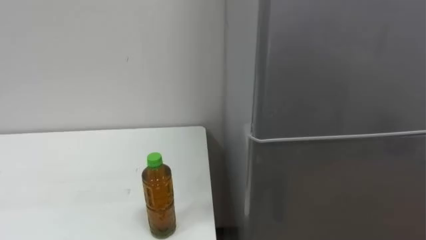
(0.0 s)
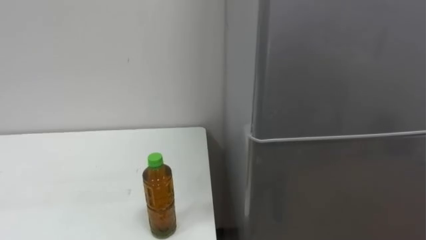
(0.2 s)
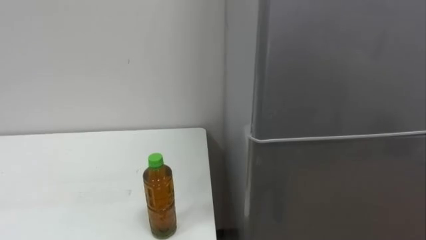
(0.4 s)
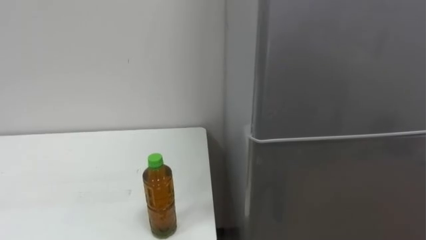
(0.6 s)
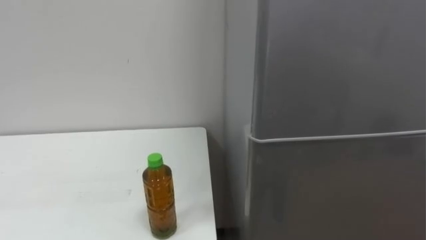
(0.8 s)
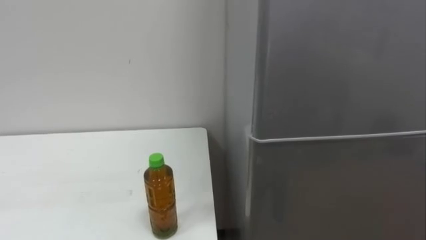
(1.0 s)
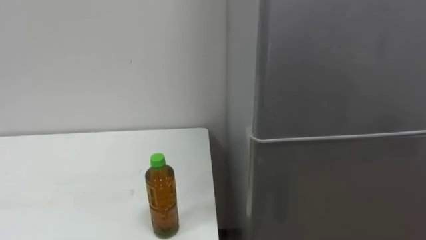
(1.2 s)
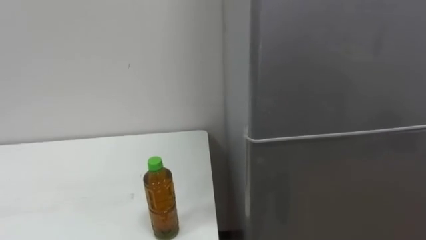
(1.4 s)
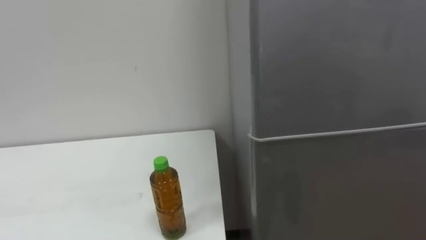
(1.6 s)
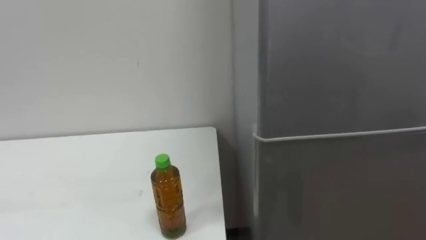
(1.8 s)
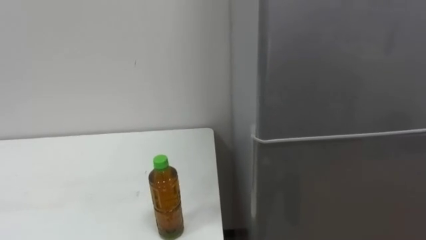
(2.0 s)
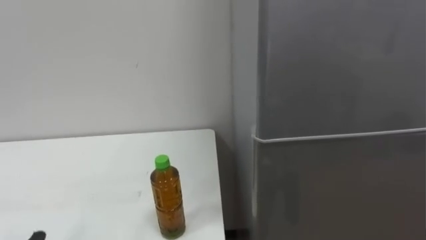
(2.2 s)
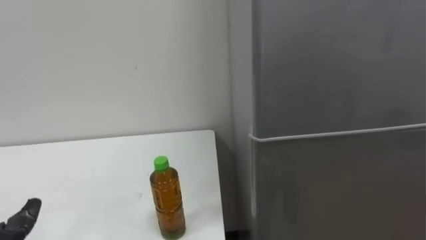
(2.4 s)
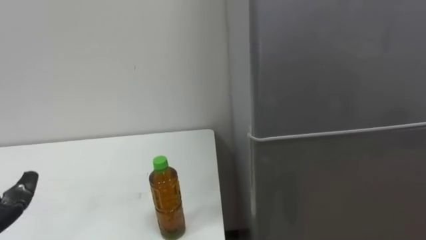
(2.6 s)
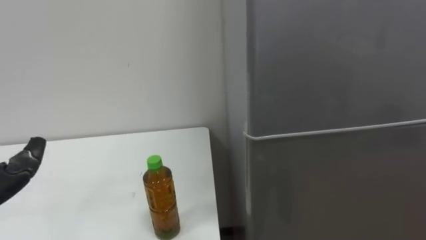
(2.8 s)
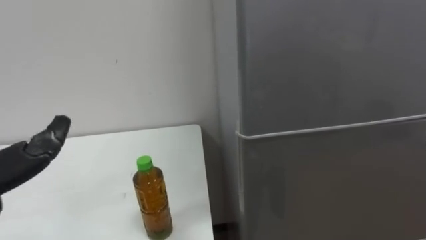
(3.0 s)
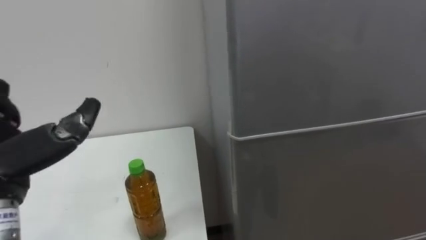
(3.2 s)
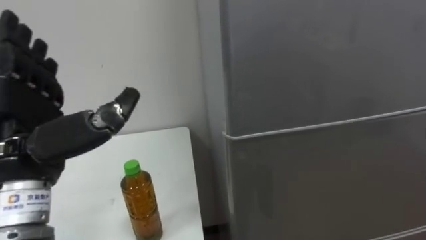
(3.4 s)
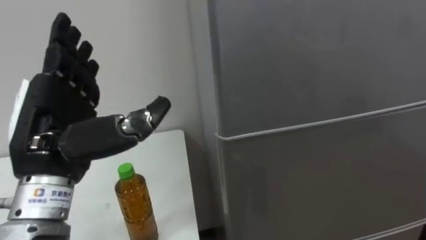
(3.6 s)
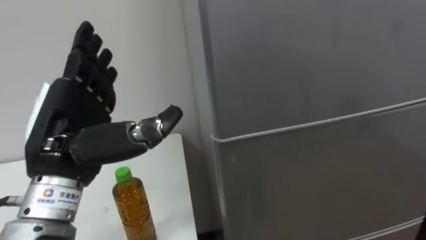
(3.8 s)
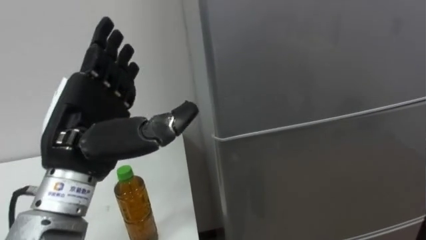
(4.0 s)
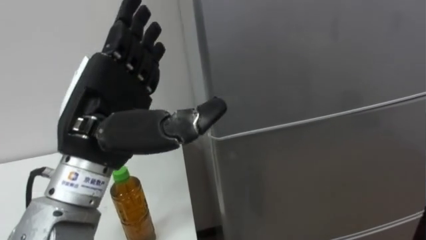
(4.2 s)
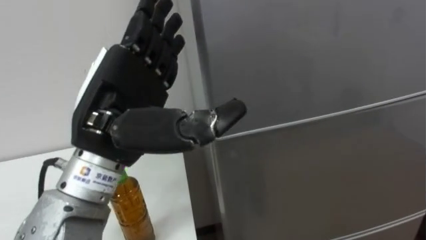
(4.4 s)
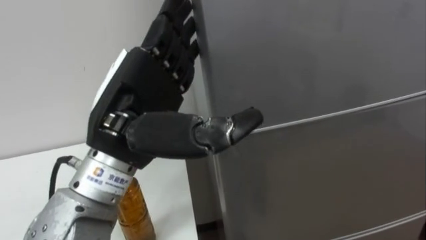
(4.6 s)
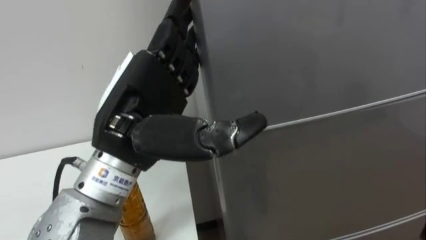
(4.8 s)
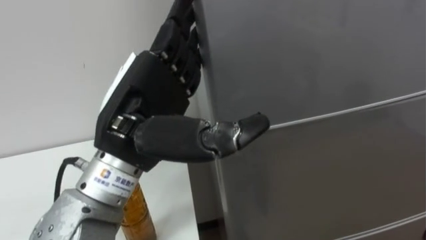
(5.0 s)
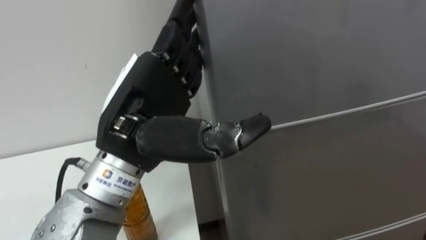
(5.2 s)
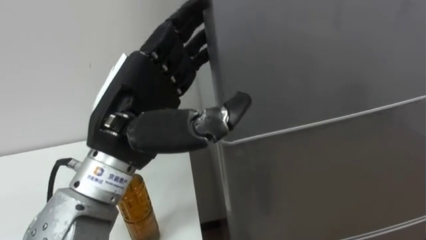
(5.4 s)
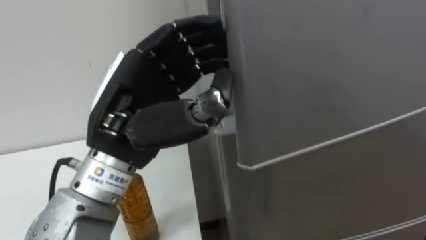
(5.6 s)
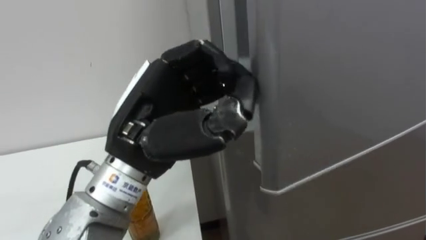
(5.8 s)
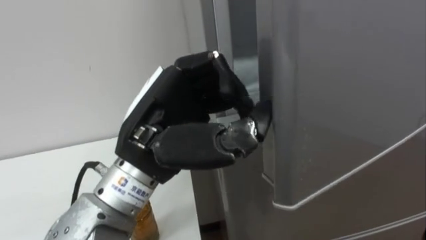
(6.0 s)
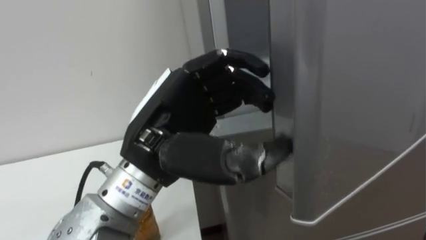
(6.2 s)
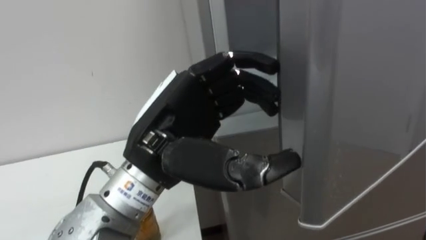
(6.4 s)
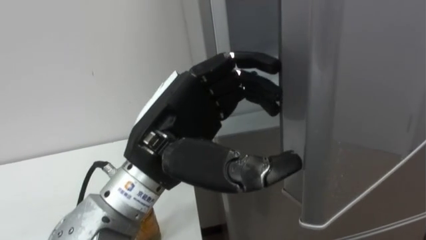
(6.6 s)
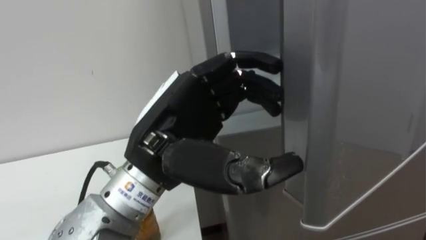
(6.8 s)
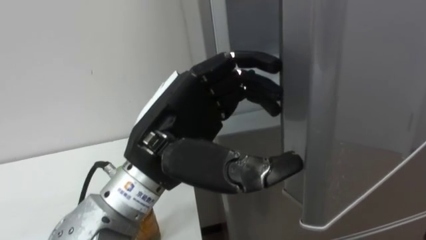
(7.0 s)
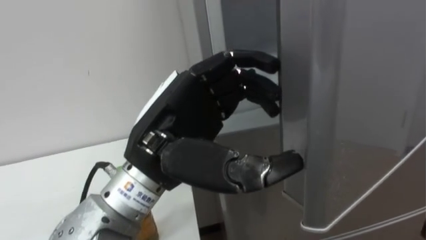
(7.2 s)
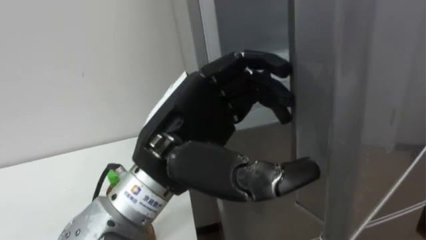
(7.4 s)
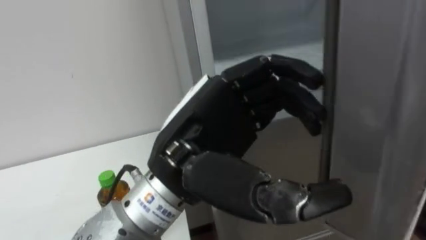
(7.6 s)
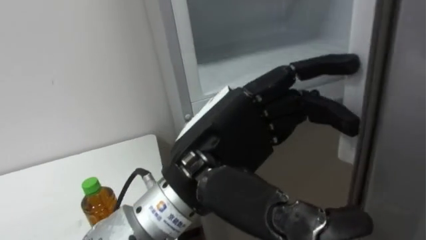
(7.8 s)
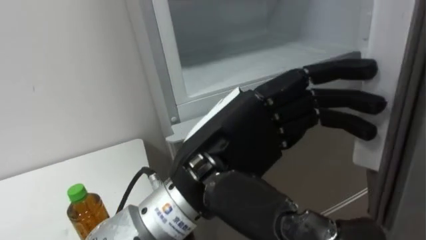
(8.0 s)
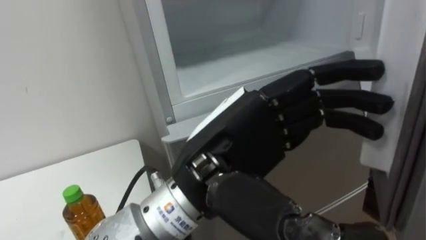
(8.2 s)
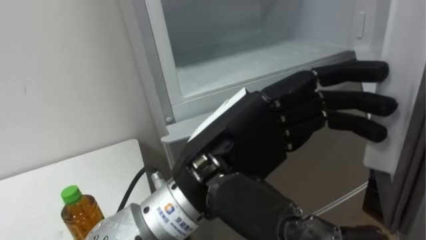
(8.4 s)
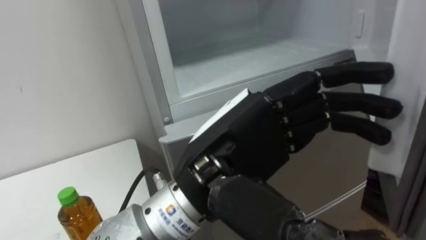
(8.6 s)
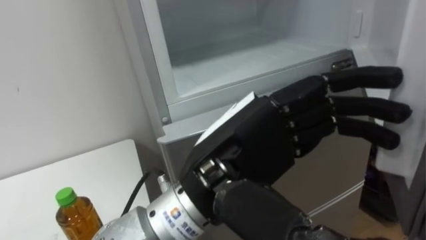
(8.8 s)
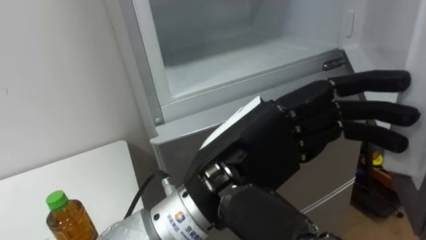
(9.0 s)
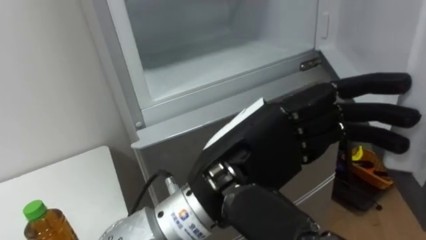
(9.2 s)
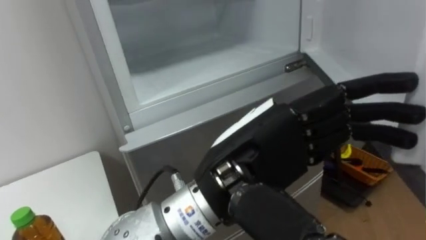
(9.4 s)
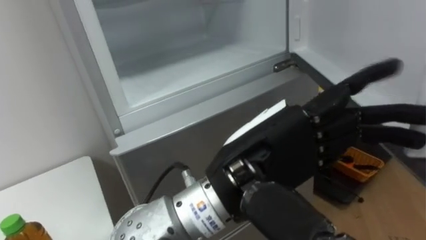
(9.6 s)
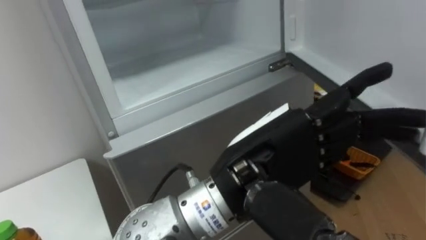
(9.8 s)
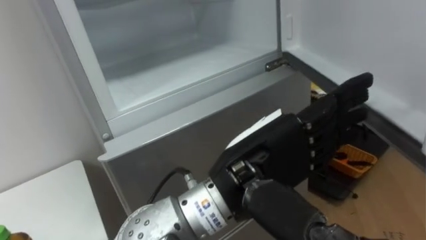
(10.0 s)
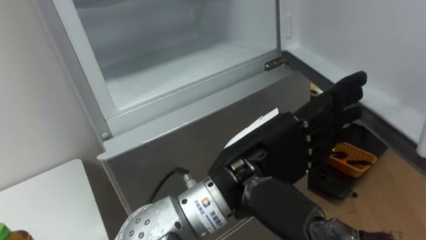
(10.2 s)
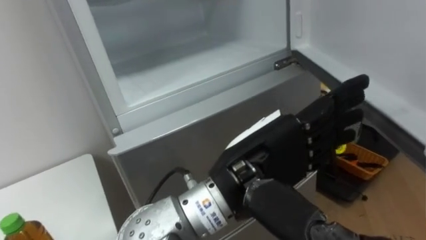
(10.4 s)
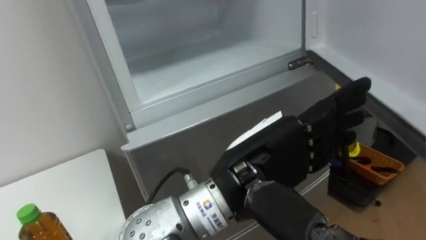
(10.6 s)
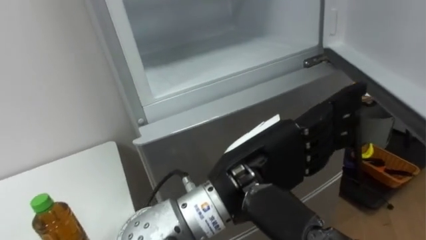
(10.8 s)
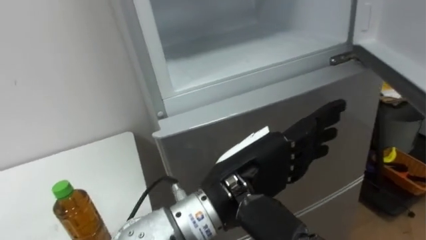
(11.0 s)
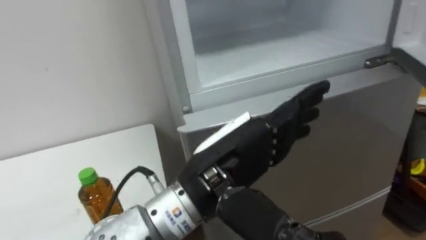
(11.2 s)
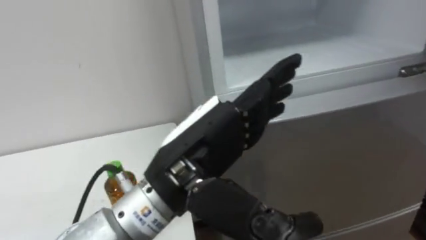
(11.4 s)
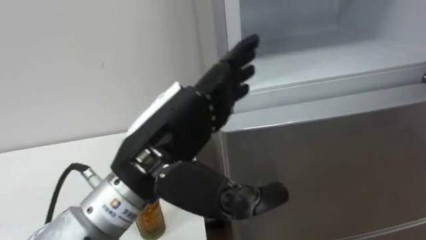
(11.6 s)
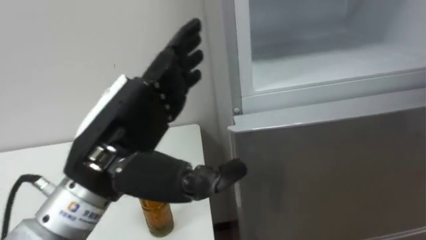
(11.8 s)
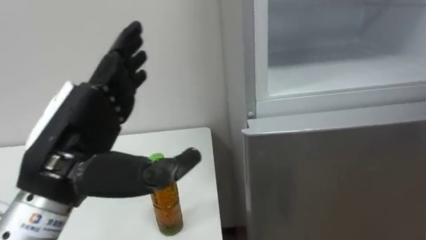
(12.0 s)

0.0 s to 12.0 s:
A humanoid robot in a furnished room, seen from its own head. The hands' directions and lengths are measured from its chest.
Task of the whole recording: Open the upper refrigerator door, put the drink from the table into the refrigerator, and then close the refrigerator door.
4.4 to 6.0 s: The left hand closes.
6.0 to 7.6 s: The left hand opens.
10.4 to 12.0 s: The left hand goes roughly 20 cm to the left.

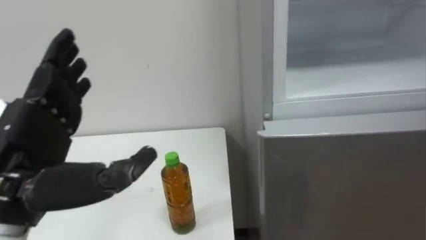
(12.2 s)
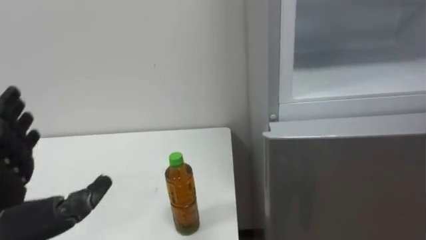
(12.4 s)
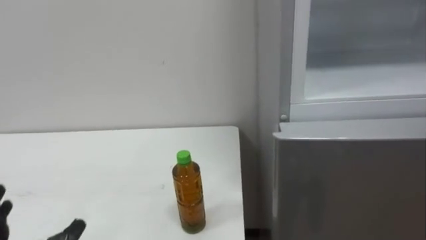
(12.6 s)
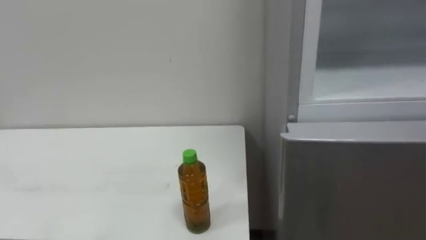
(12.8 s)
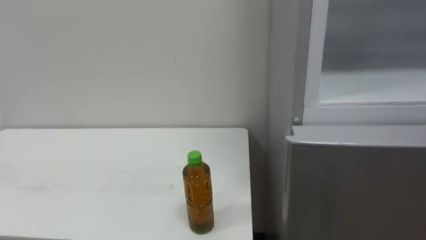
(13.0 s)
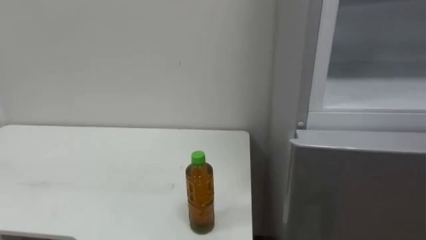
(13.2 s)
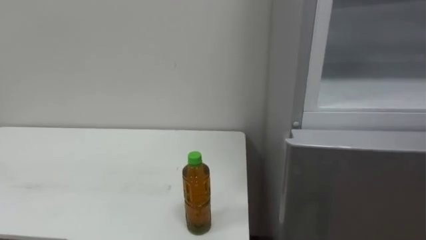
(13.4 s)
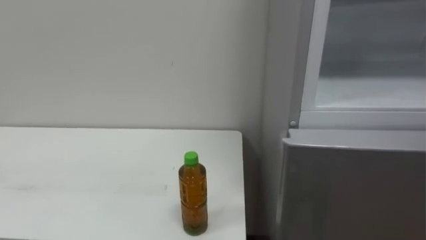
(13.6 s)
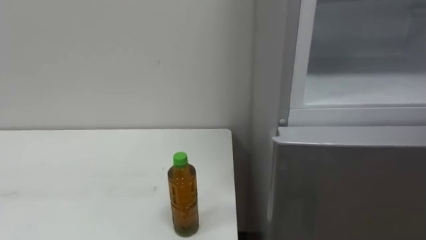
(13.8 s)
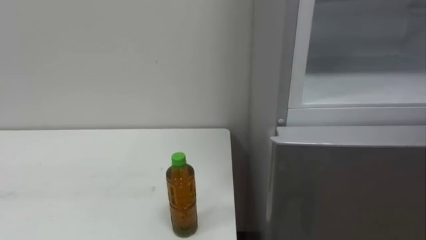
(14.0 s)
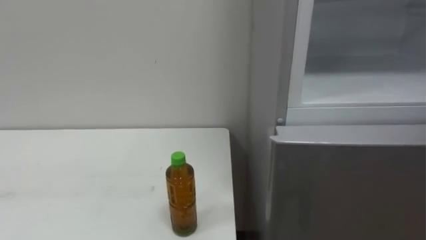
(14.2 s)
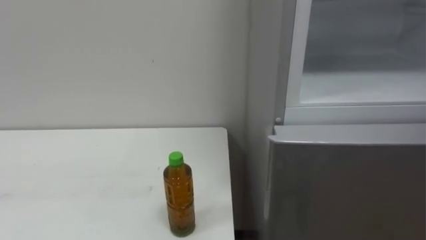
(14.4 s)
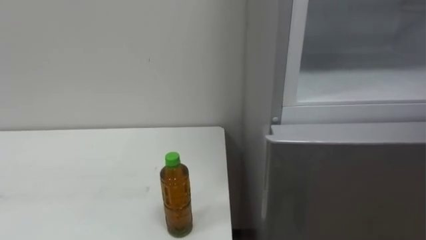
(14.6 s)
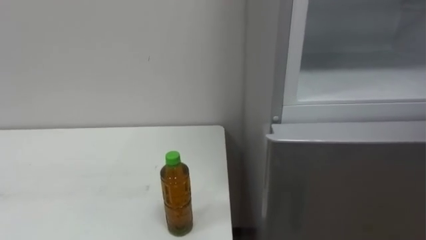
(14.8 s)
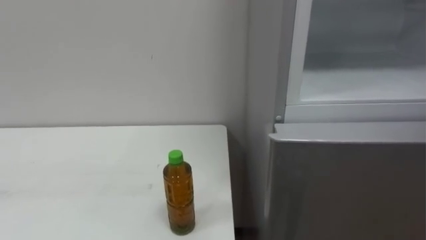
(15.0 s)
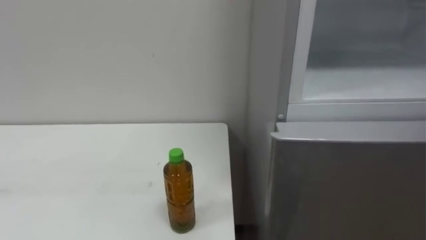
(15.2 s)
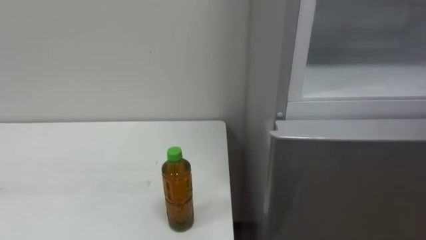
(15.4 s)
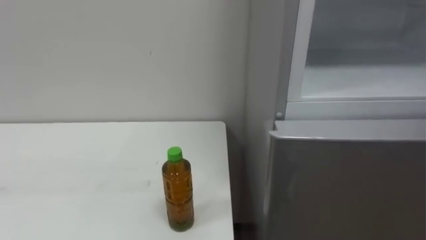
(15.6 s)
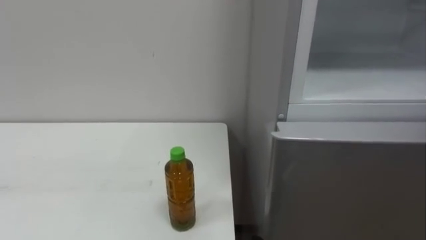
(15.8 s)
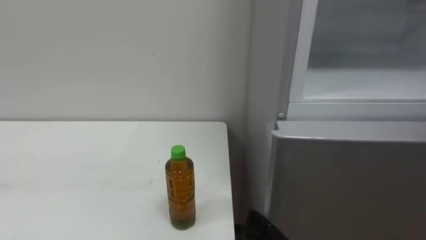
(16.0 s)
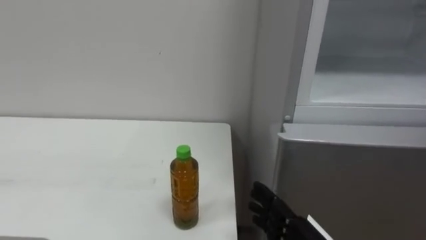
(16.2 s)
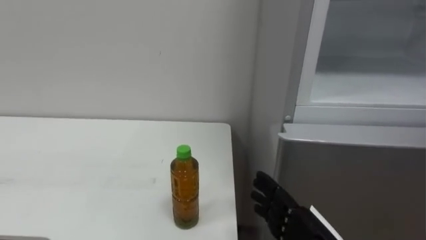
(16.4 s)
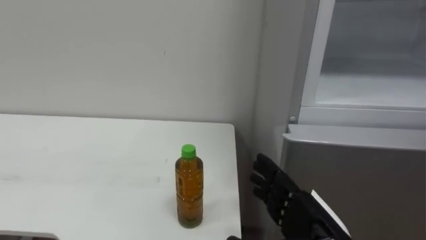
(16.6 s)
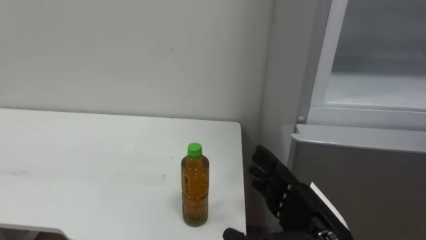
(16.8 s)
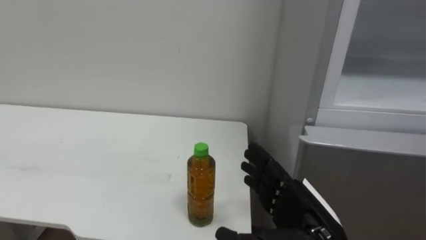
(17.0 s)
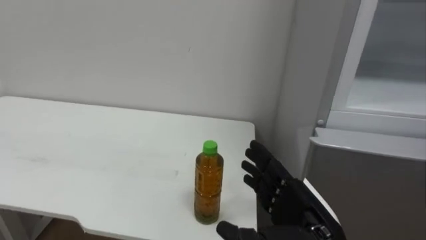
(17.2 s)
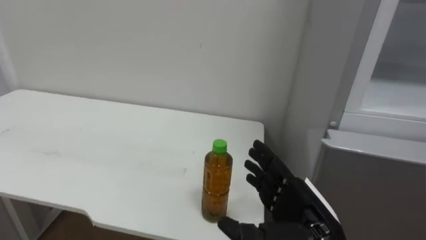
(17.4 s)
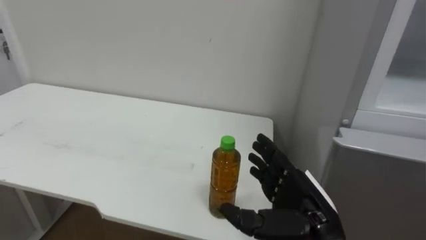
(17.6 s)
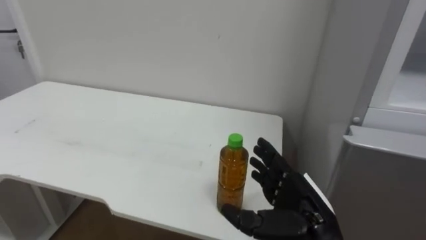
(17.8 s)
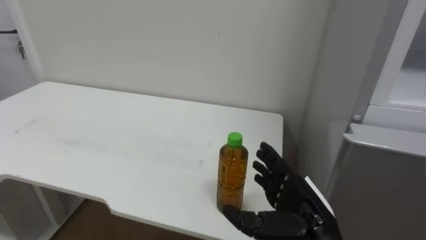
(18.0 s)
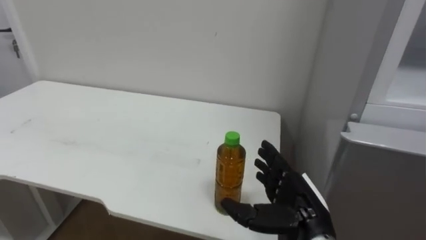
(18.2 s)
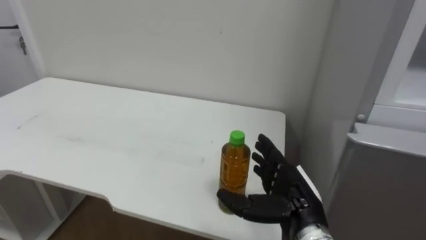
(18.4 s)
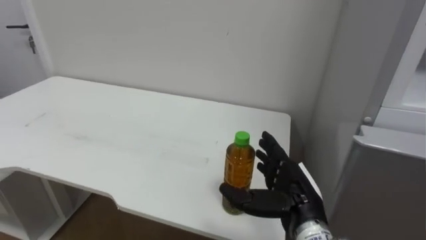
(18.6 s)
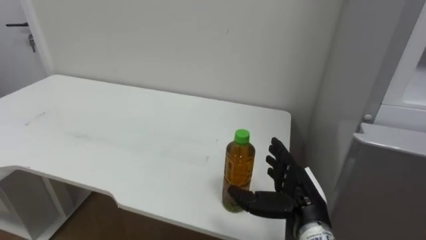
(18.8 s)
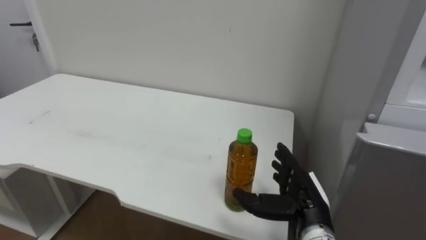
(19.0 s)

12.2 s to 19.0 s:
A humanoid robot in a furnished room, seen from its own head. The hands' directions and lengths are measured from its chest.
Task of the whole recording: Open the upper refrigerator door, put the drink from the table into the refrigerator, and then close the refrigerator door.
17.6 to 19.0 s: The right hand changes place by approximately 5 cm.
